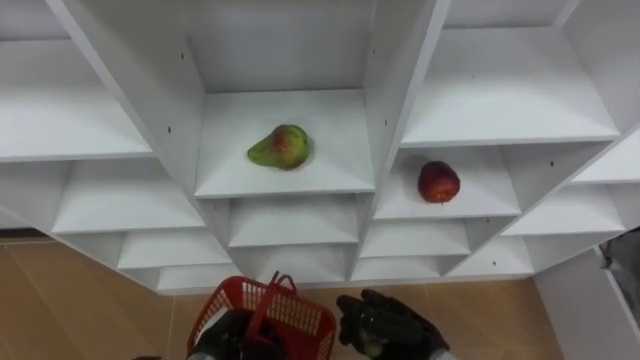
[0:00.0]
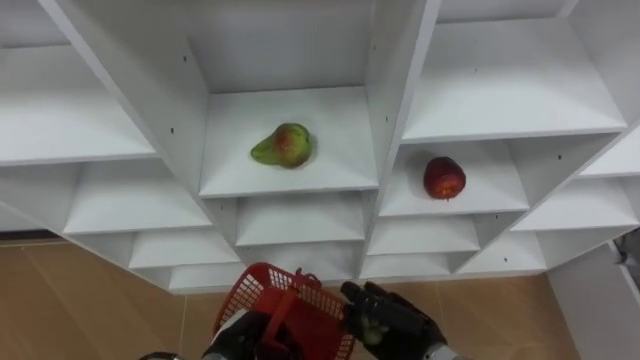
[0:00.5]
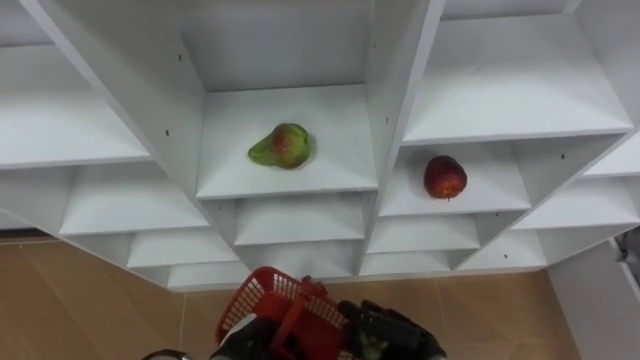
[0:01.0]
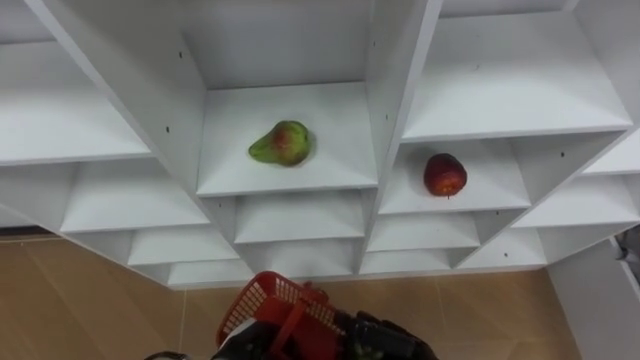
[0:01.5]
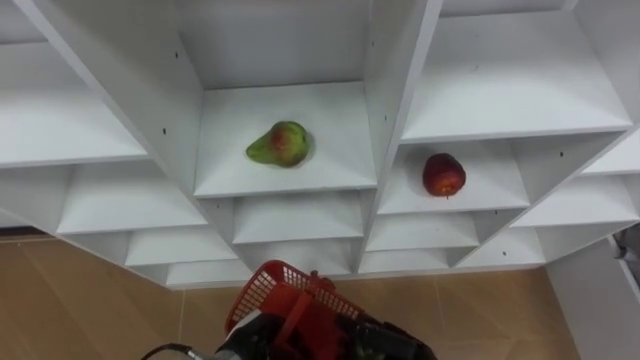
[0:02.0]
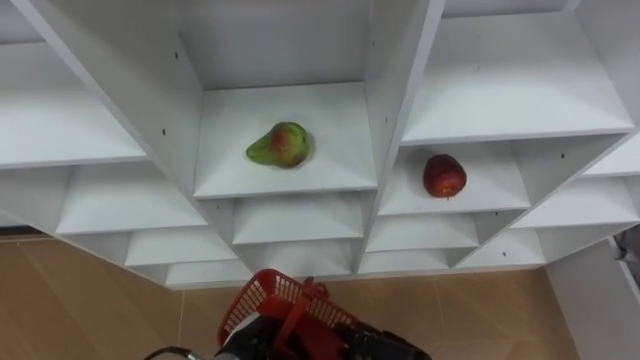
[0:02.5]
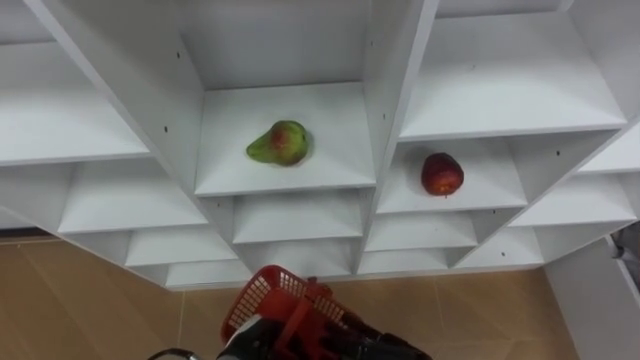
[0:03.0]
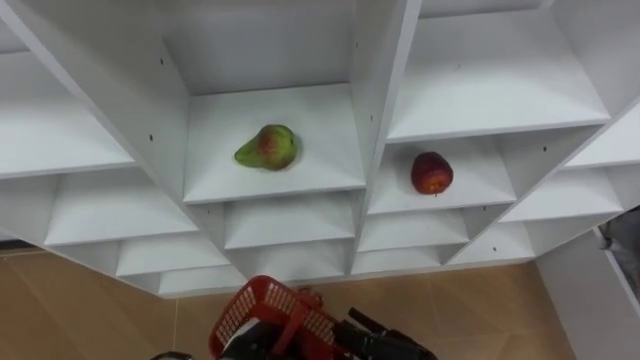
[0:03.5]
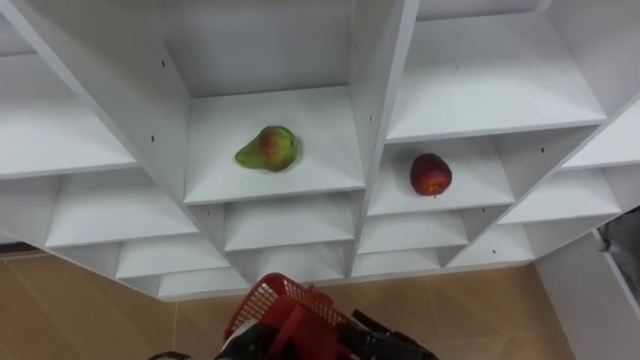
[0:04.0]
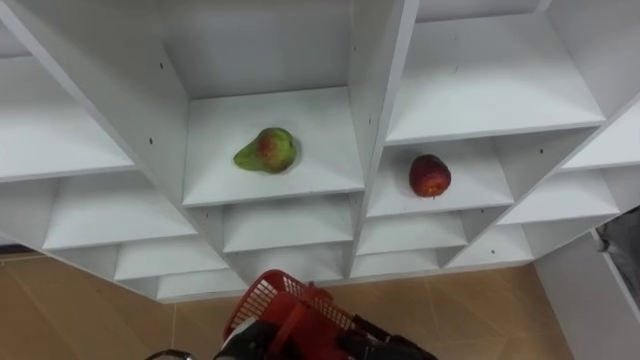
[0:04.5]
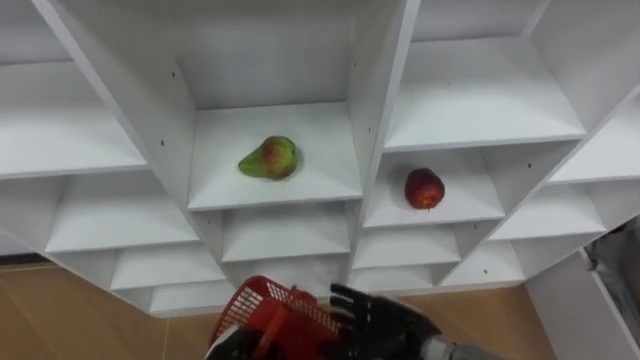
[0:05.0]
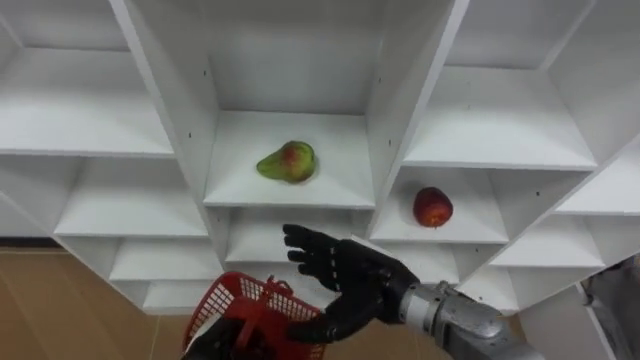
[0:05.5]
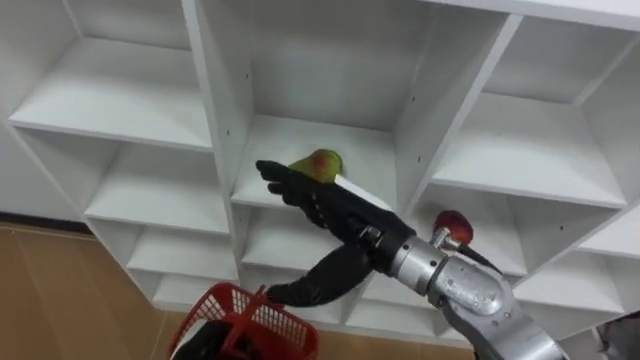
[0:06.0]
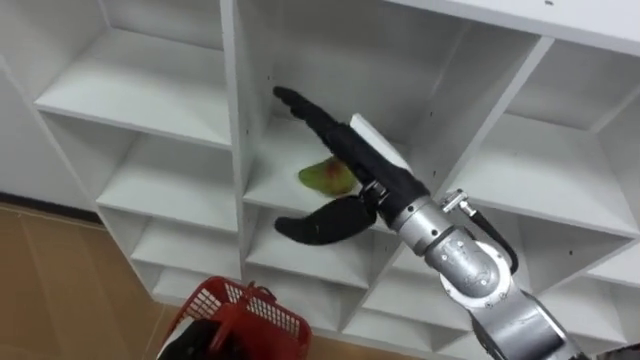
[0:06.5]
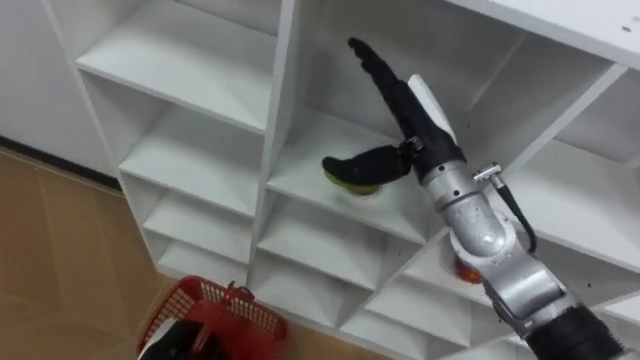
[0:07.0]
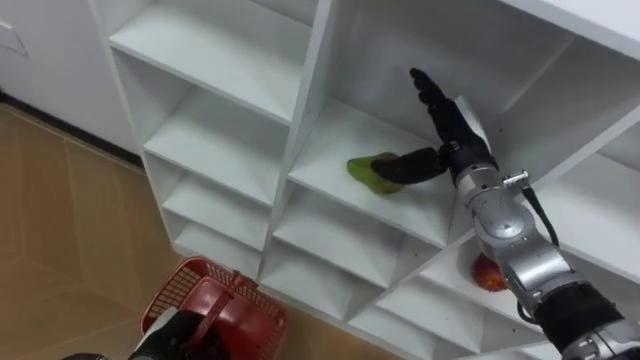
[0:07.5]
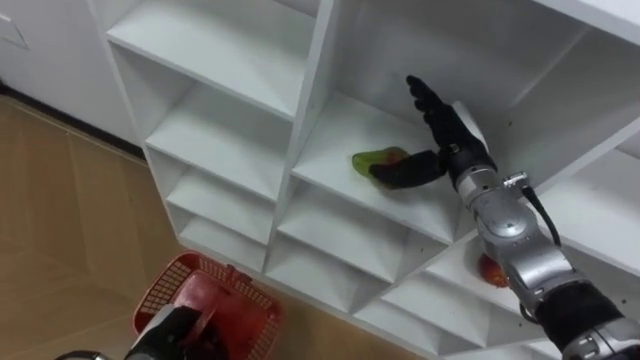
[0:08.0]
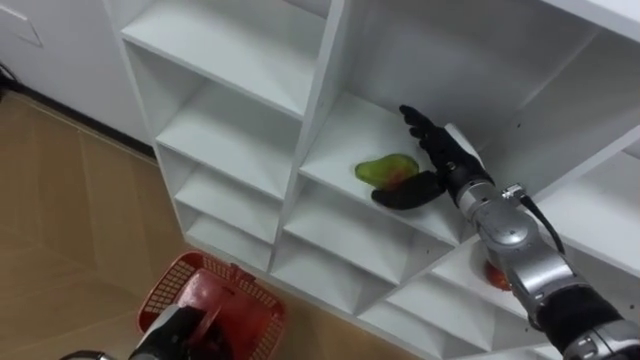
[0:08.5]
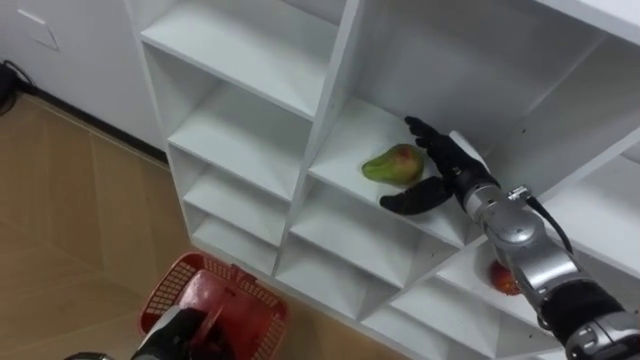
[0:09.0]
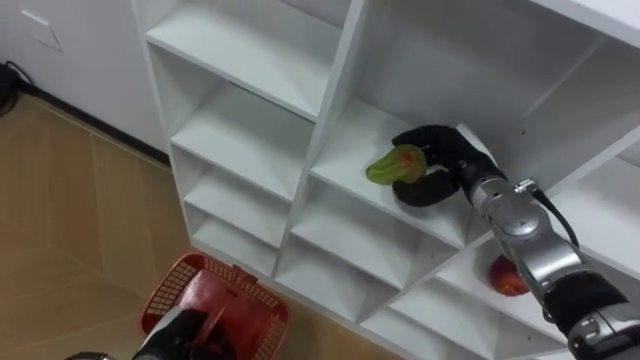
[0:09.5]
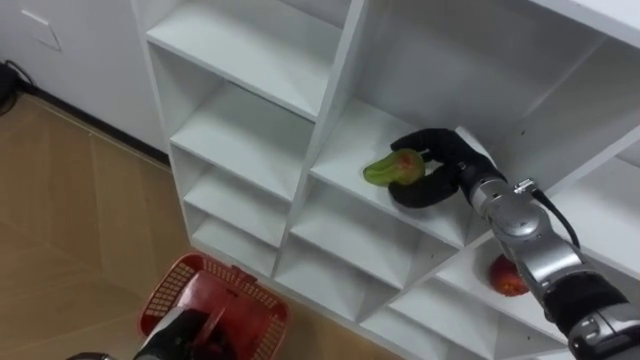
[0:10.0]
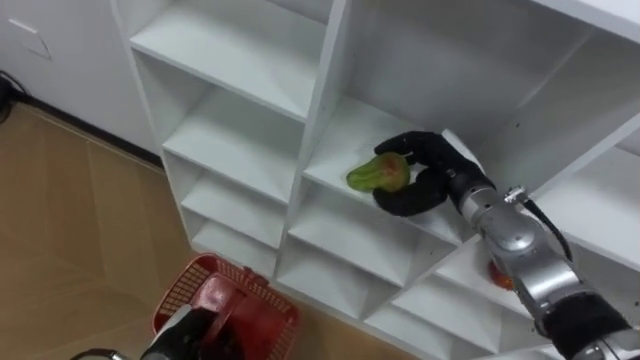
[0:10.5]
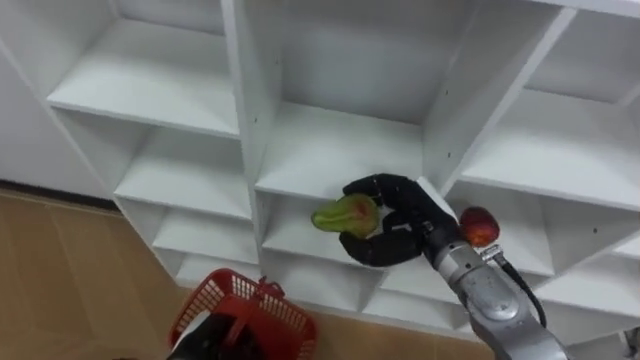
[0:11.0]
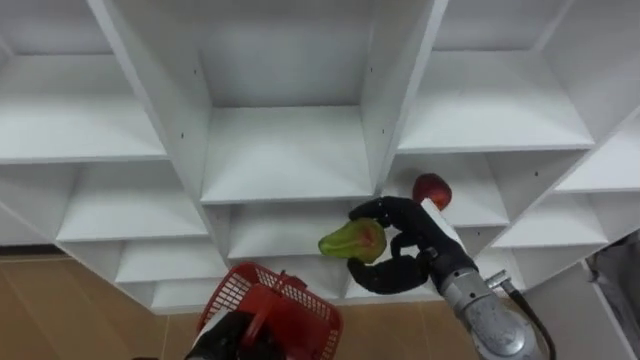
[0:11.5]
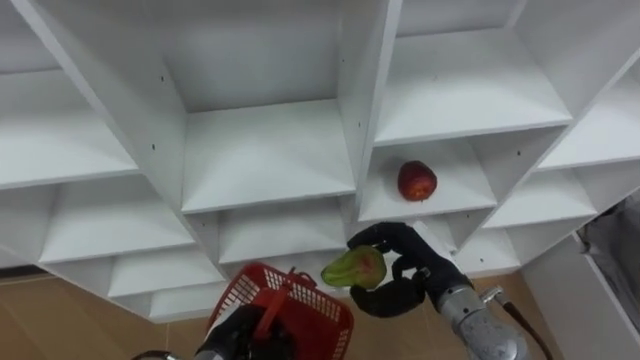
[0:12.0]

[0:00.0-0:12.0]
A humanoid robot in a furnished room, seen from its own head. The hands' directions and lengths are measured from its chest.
Task of the whole recording: Hold the basket and collect the fruits from 3 different cells of the closet into it.
0:00.0 to 0:02.0: The hands stay close to where they were, moving slightly.
0:04.0 to 0:06.0: The left hand is displaced to the left by about 5 cm.
0:06.0 to 0:08.0: The left hand heads to the left, covering roughly 5 cm. Meanwhile the right hand heads to the right and forward, covering about 15 cm.
0:08.0 to 0:10.0: The right hand closes its fingers.
0:10.0 to 0:12.0: The right hand shifts about 15 cm backward, downward and to the left. The left hand moves to the right, about 10 cm.

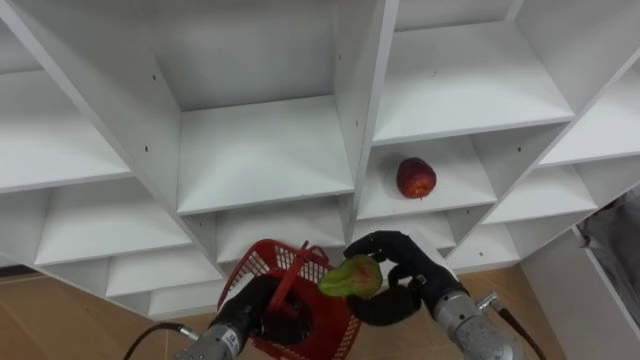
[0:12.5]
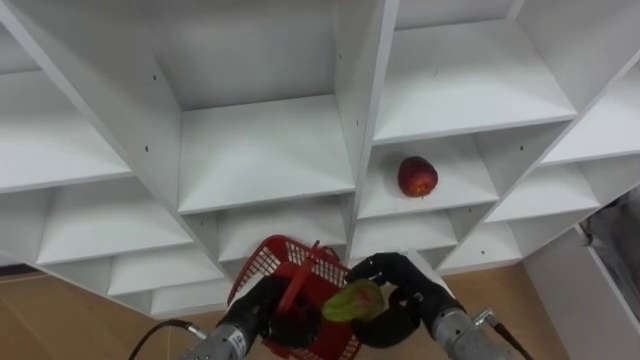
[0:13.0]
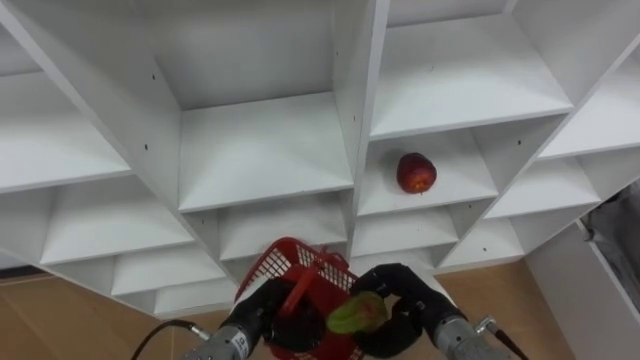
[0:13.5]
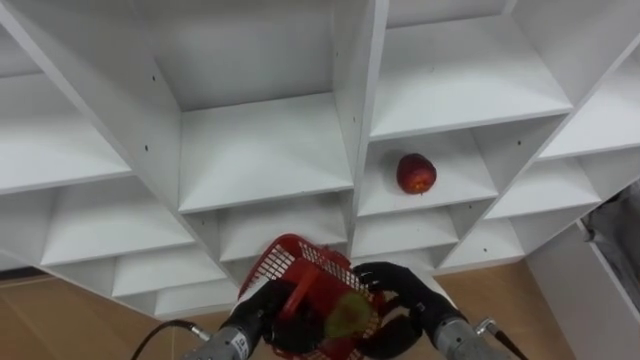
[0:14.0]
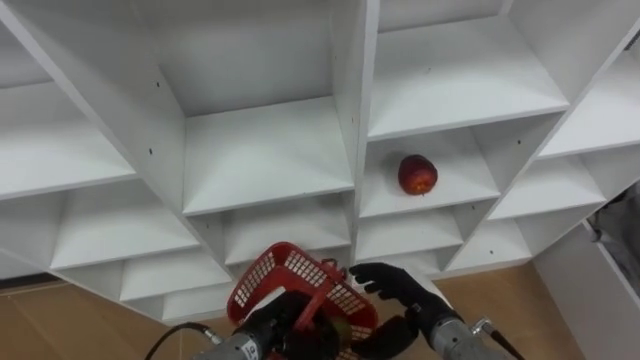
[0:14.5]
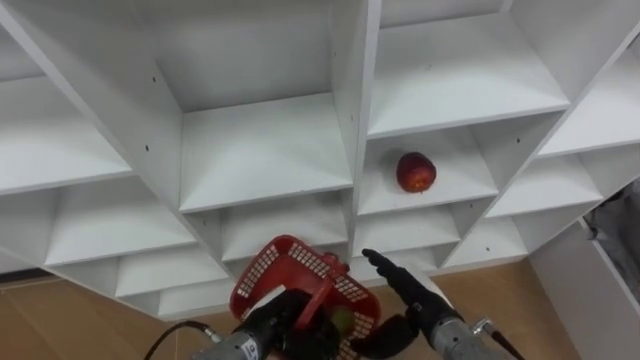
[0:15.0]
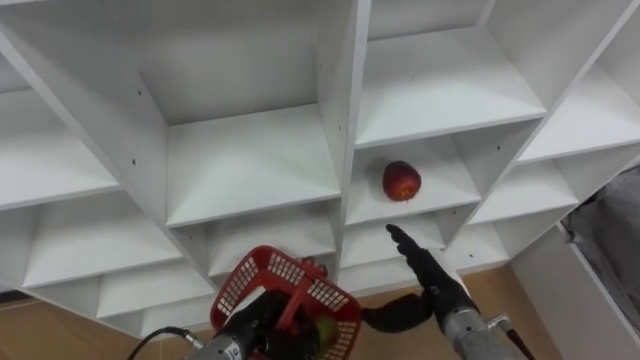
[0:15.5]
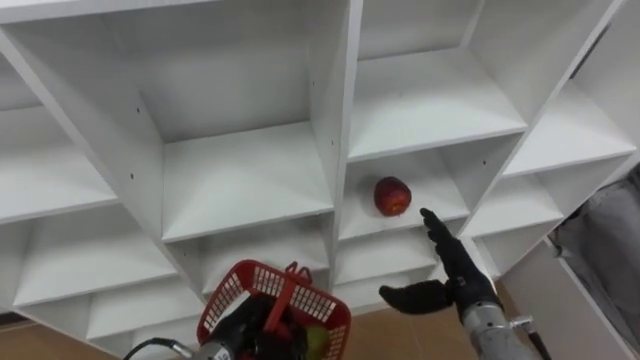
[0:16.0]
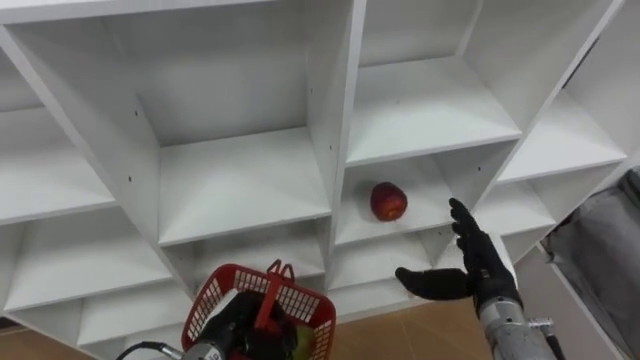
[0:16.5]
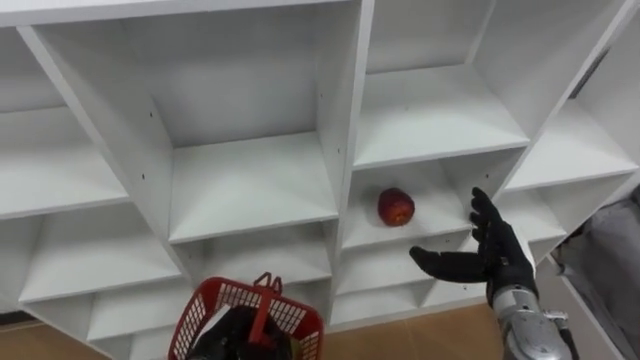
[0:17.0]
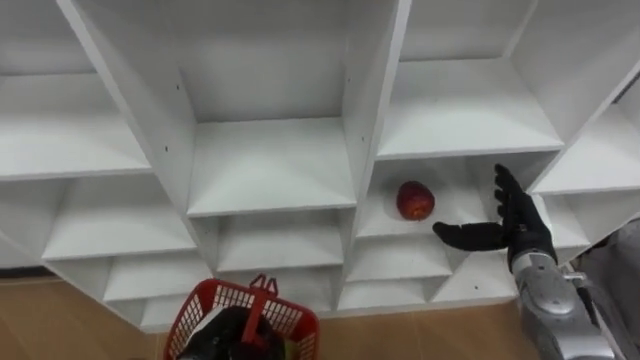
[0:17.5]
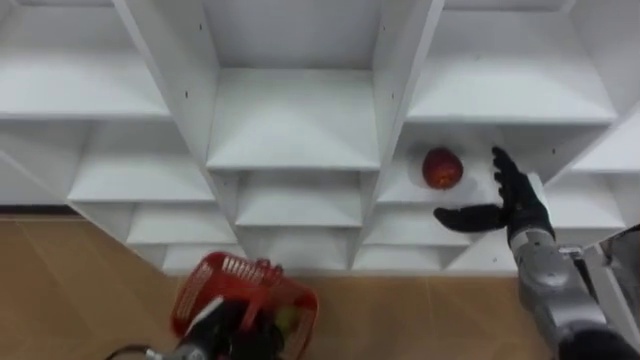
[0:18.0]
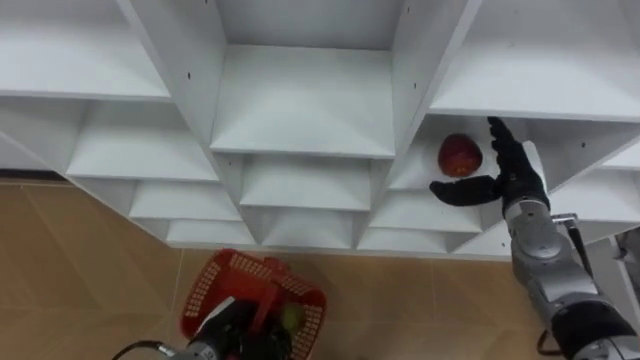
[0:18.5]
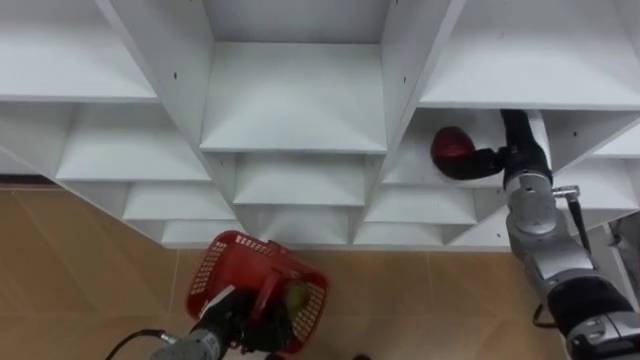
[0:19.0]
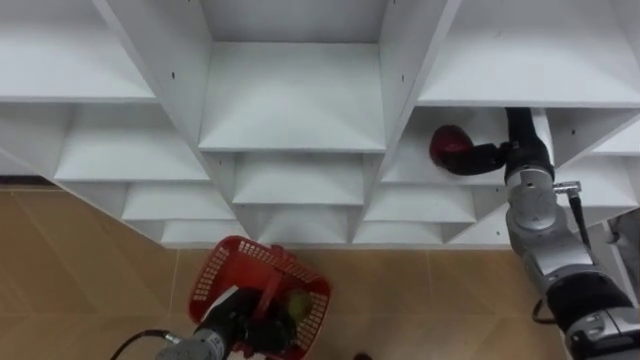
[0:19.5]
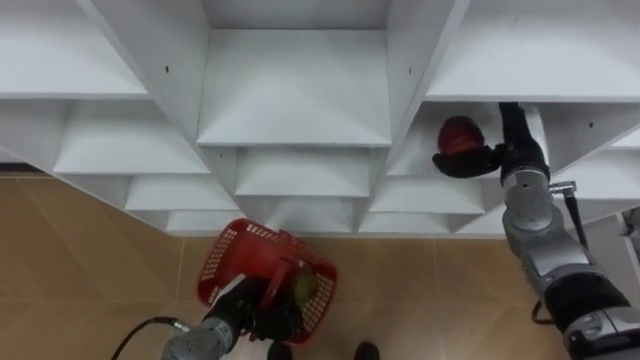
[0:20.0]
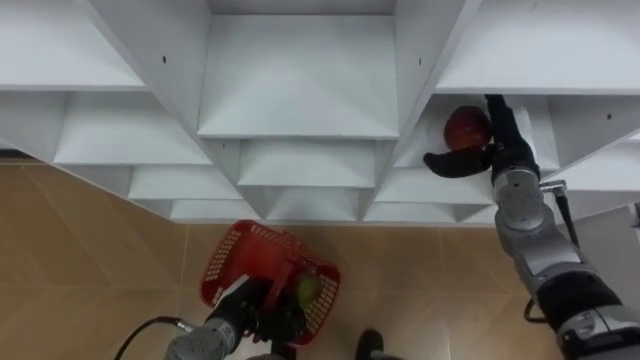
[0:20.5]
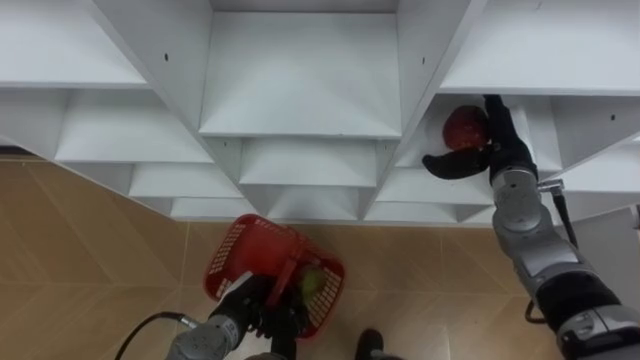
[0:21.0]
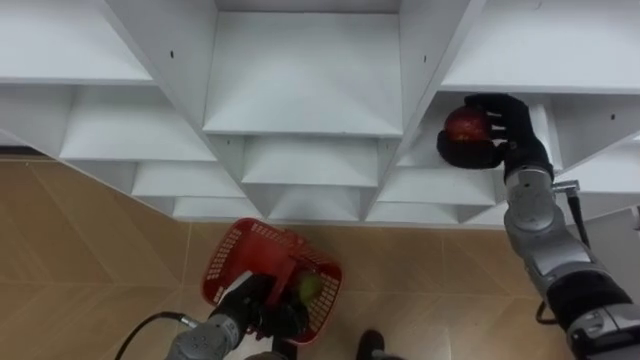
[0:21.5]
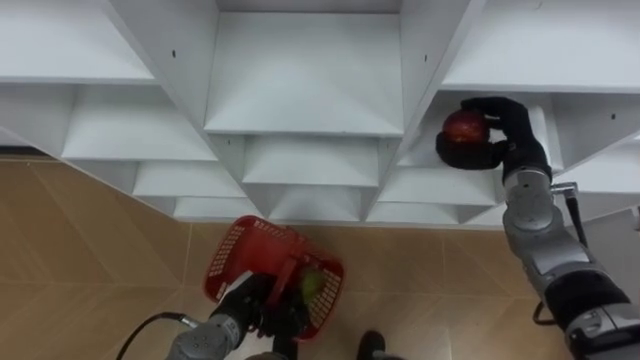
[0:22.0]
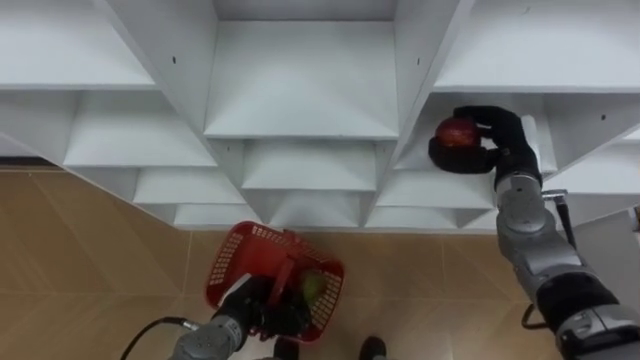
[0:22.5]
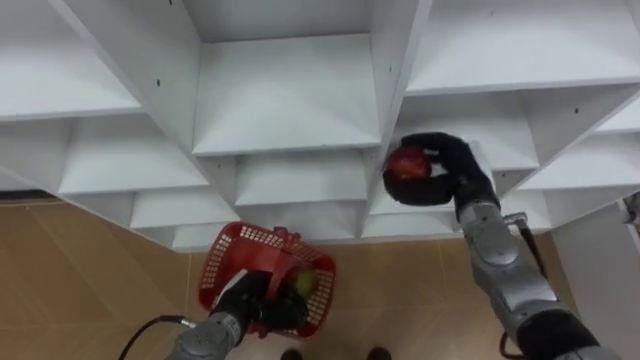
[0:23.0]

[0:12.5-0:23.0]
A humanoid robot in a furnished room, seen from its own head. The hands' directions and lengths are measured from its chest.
Task of the whole recording: Hold the basket and collect the fruits from 3 different cells of the closet into it.
0:12.5 to 0:14.5: The right hand shifts by about 5 cm, and opens up.
0:14.5 to 0:16.5: The left hand heads to the left, covering approximately 5 cm; the right hand is displaced to the right by some 10 cm.
0:16.5 to 0:19.0: The right hand shifts about 15 cm forward and upward.
0:21.0 to 0:23.0: The right hand shifts by about 5 cm, and closes up.
